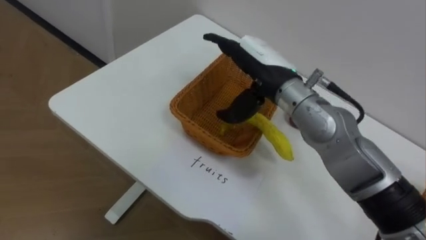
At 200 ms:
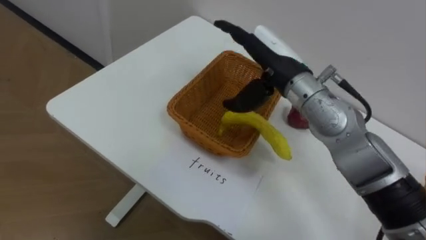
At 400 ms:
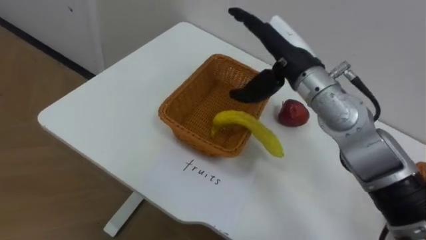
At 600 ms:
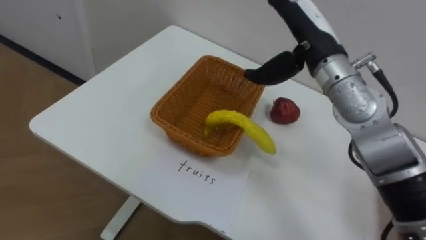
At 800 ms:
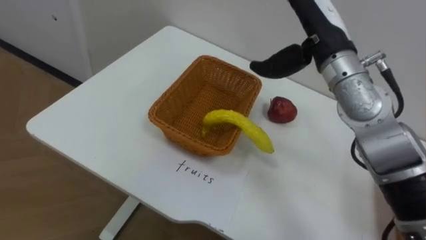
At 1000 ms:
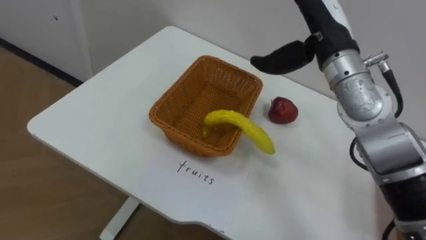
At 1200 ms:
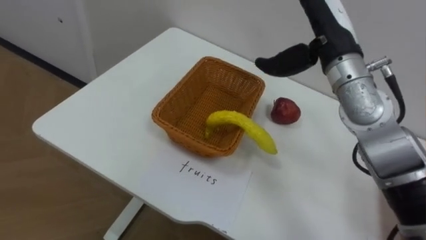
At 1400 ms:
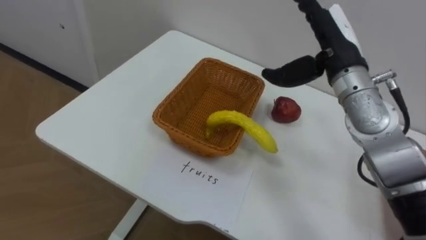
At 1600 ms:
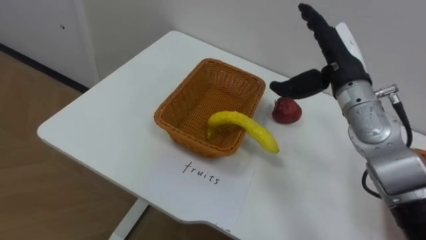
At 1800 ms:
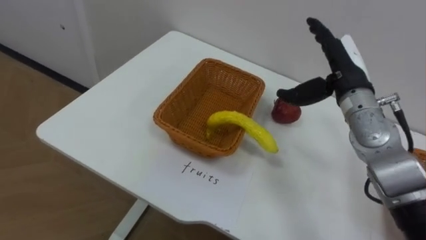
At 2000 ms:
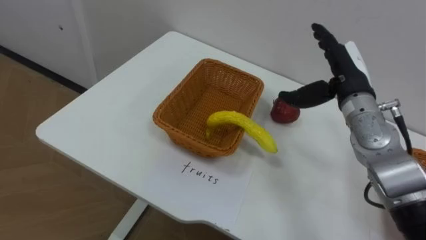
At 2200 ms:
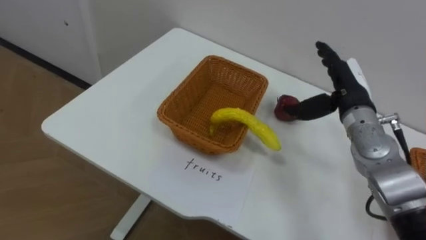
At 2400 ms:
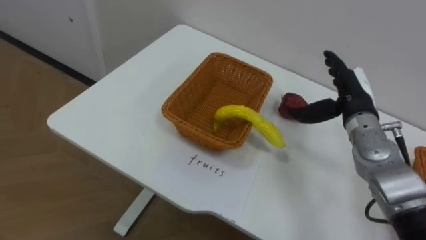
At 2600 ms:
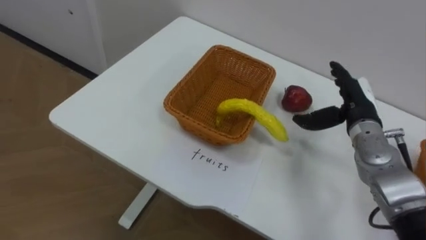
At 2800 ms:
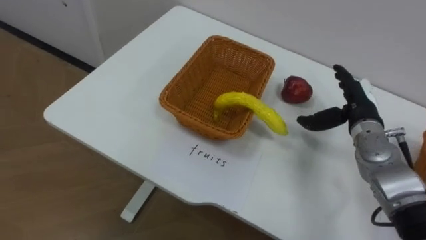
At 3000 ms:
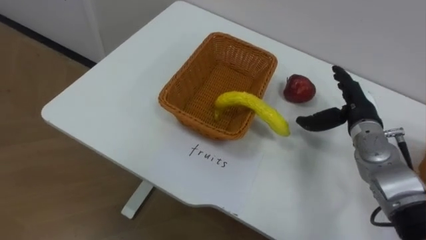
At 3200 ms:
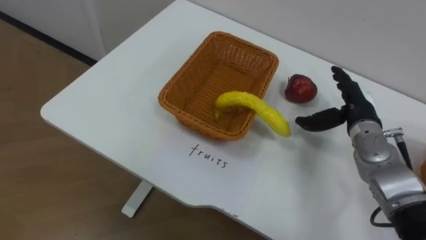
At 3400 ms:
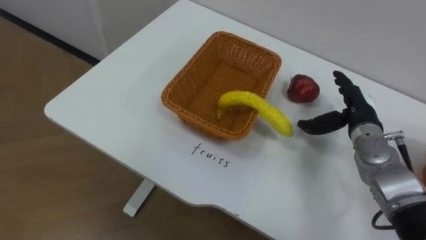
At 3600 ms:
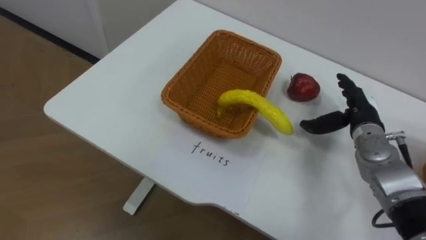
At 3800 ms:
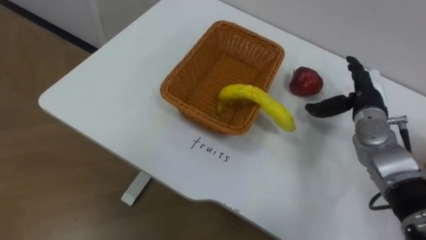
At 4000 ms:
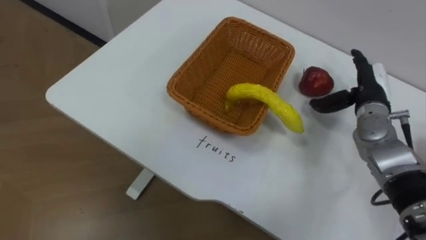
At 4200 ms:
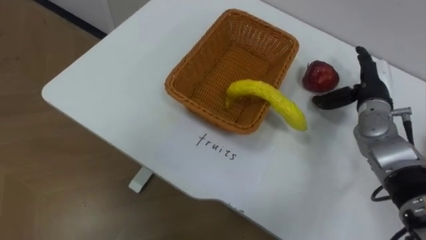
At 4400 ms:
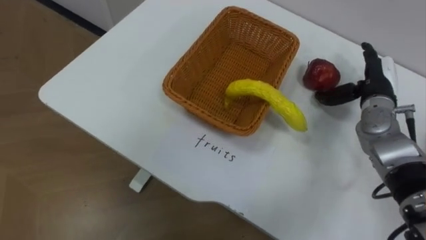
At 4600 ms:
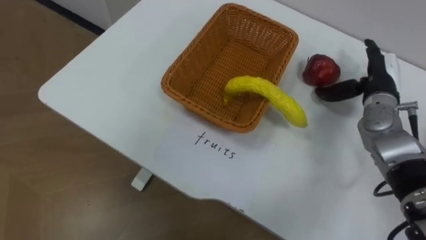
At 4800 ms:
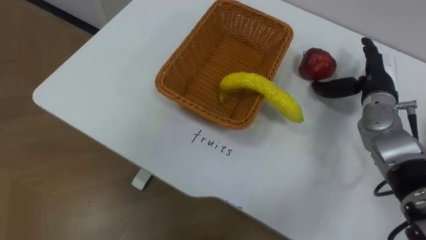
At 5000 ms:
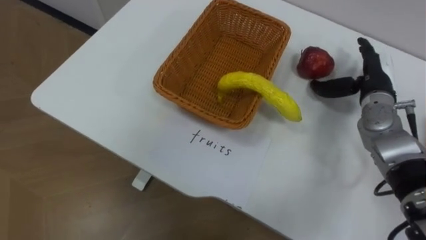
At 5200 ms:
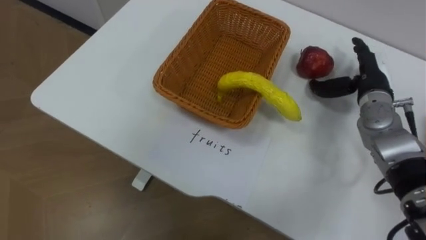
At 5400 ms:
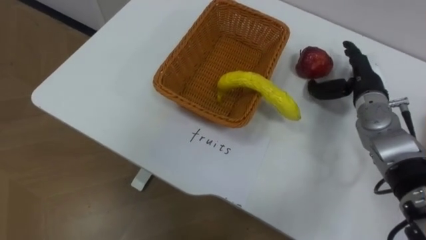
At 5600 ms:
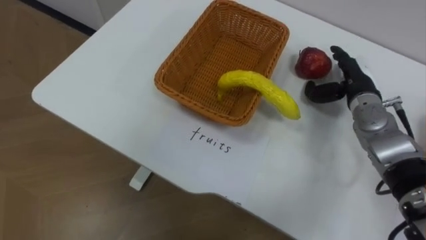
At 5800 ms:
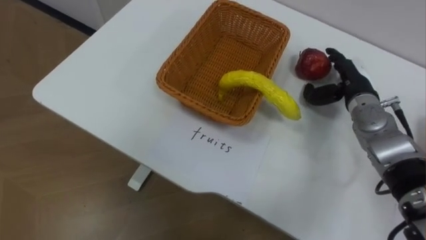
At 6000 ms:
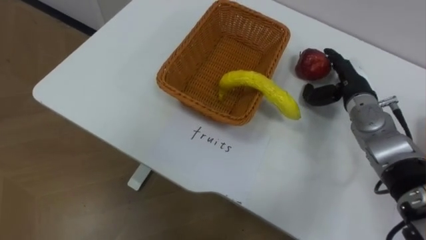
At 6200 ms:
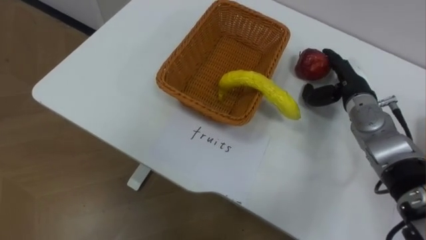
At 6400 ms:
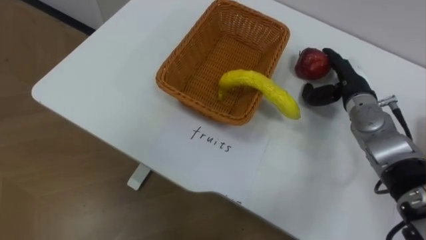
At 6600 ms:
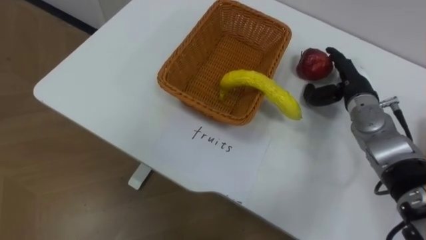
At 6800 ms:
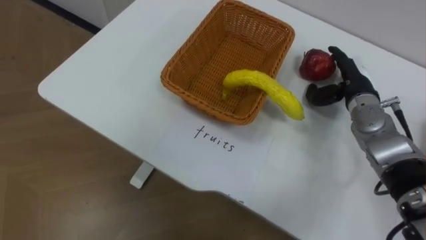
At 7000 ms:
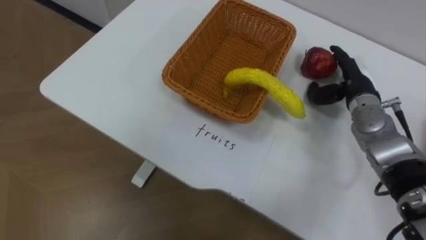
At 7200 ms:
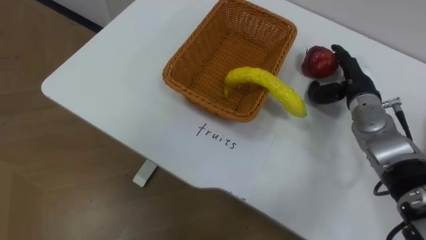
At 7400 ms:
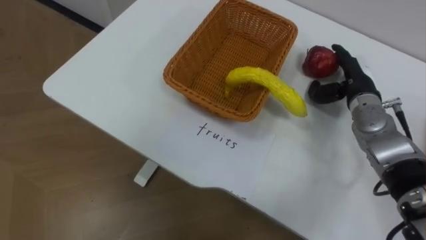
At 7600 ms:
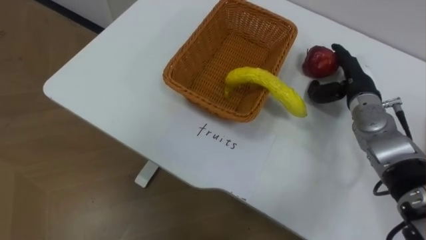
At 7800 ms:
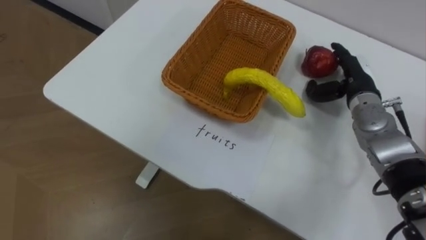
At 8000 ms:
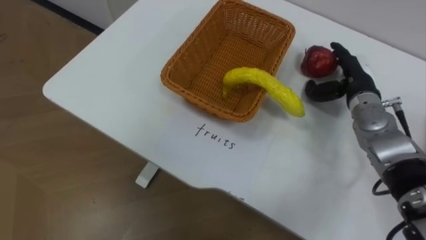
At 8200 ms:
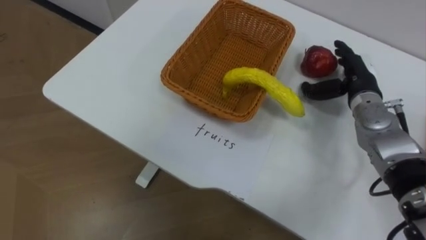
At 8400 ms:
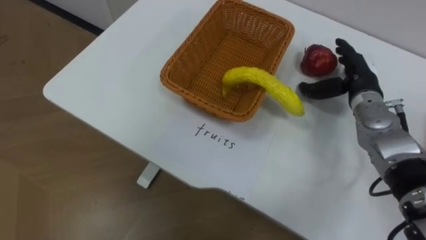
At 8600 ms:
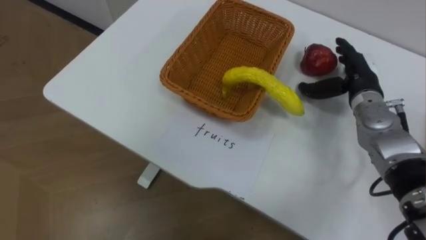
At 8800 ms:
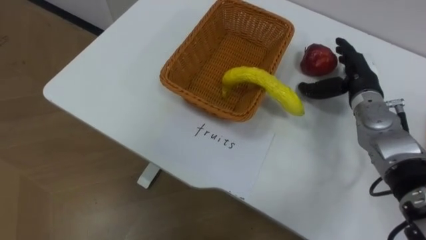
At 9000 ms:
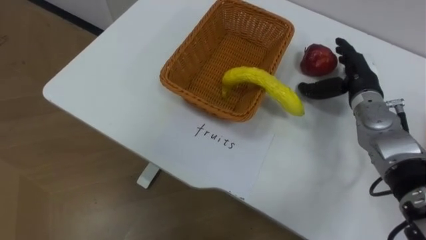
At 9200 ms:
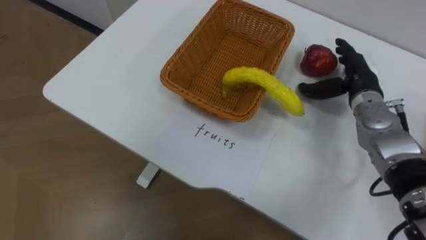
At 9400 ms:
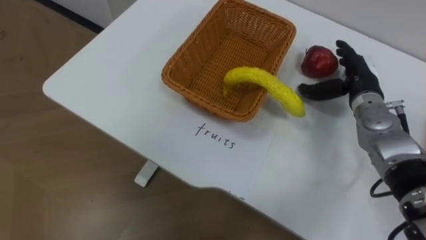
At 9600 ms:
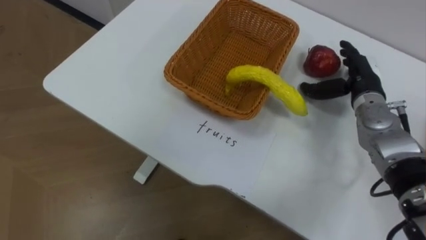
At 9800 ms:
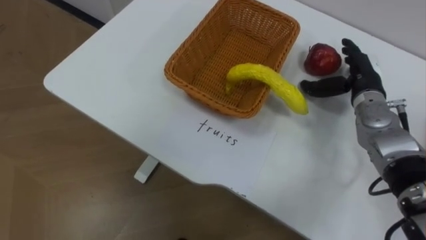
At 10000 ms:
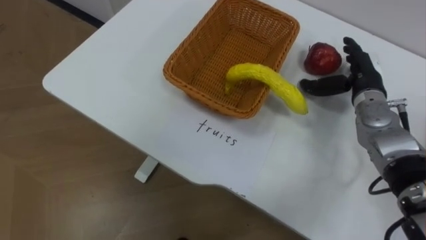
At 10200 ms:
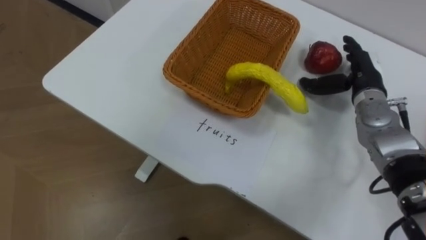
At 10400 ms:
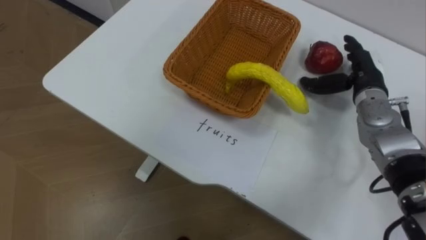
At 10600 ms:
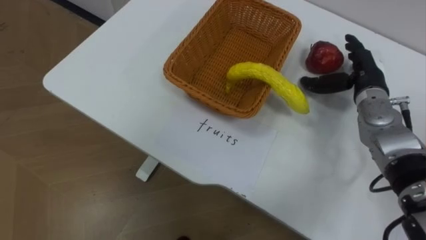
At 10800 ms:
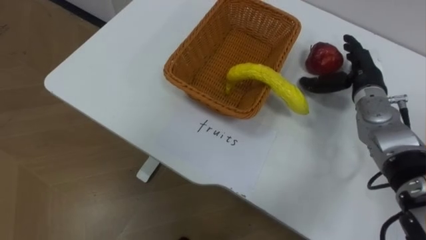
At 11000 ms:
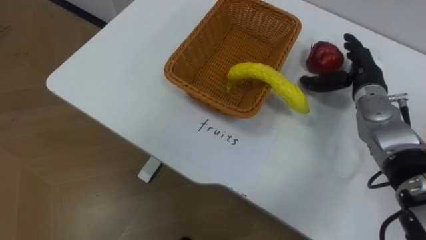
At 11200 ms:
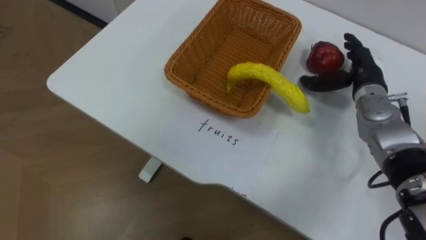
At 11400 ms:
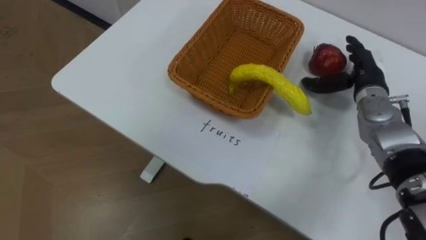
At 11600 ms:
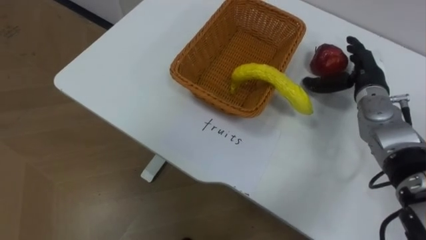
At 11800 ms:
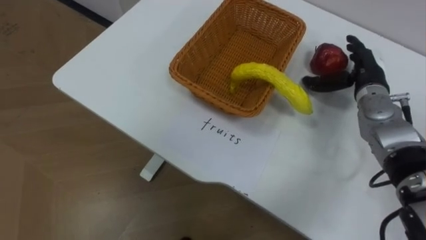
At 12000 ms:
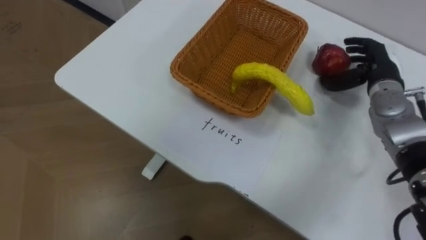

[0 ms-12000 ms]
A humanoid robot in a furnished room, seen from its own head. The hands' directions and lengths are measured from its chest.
Task of the whole recording: Separate the items on the table and place them into the two baskets.
0 ms to 1600 ms: The right hand heads to the right, covering some 10 cm.
1600 ms to 3000 ms: The right hand heads downward and to the right, covering roughly 15 cm.
3000 ms to 4400 ms: The right hand ends up roughly 5 cm from where it was.

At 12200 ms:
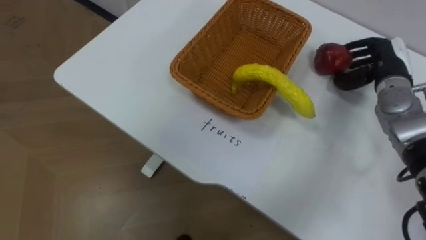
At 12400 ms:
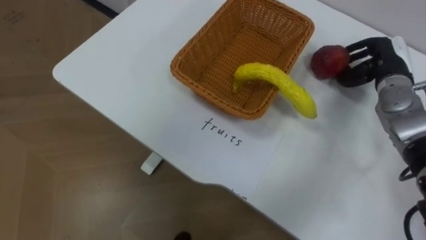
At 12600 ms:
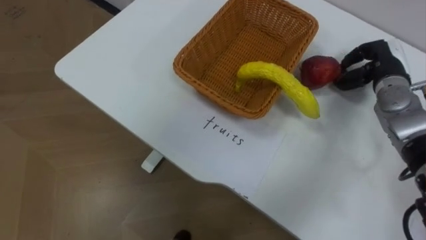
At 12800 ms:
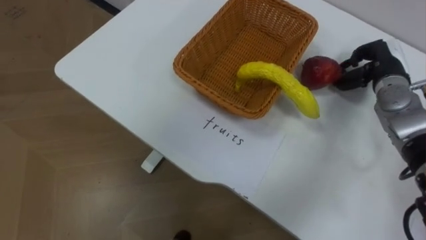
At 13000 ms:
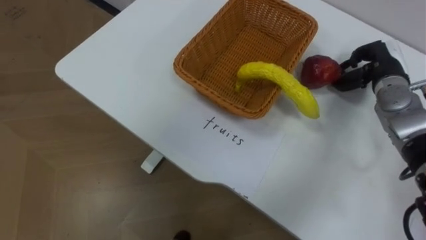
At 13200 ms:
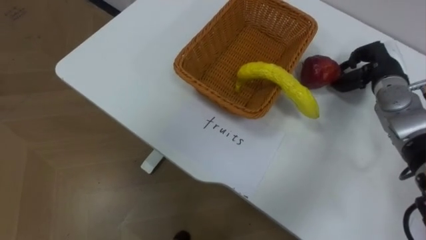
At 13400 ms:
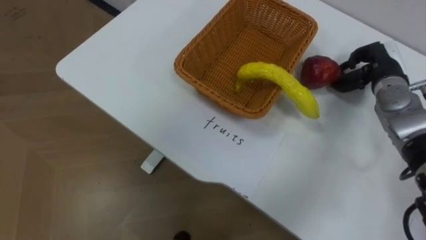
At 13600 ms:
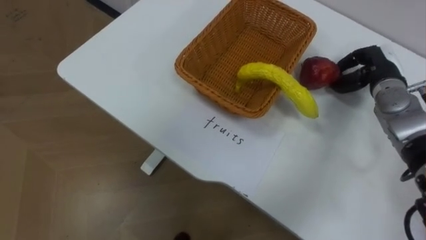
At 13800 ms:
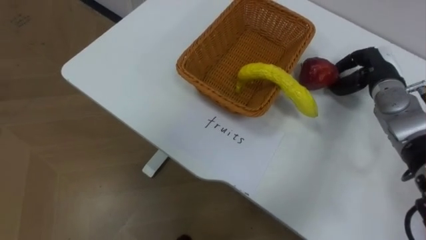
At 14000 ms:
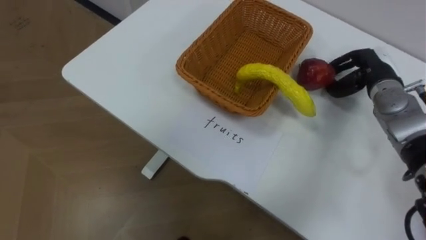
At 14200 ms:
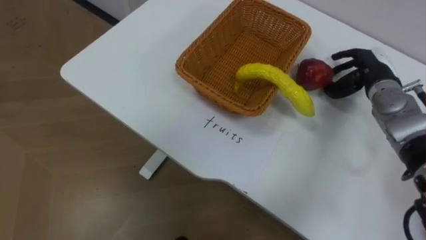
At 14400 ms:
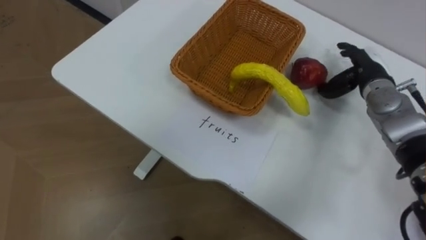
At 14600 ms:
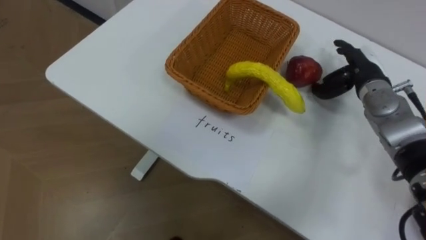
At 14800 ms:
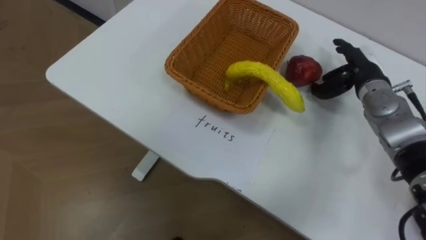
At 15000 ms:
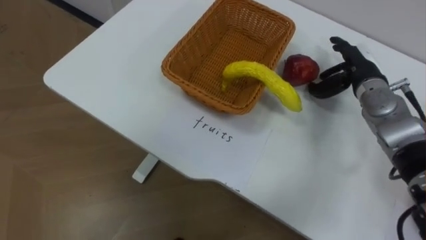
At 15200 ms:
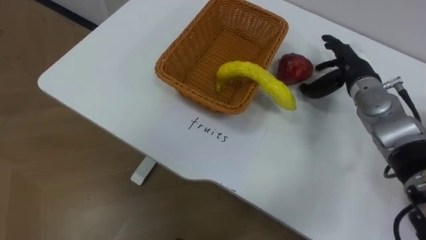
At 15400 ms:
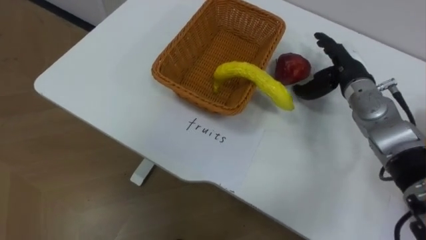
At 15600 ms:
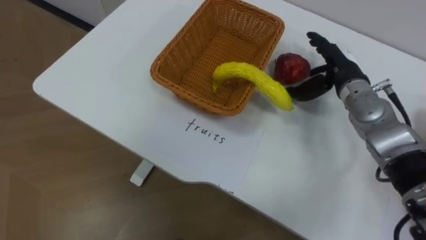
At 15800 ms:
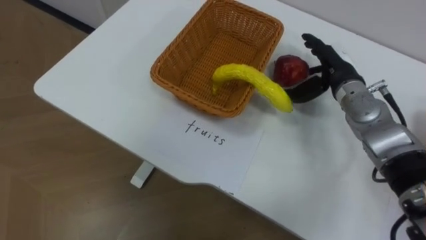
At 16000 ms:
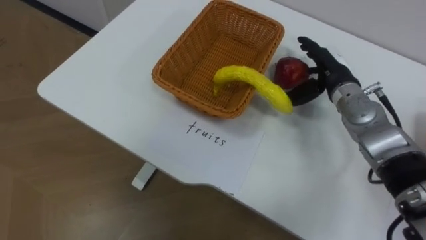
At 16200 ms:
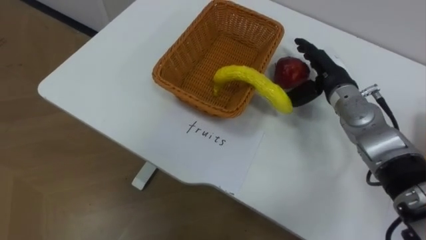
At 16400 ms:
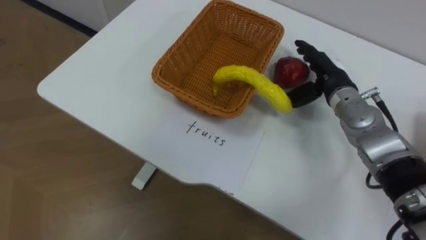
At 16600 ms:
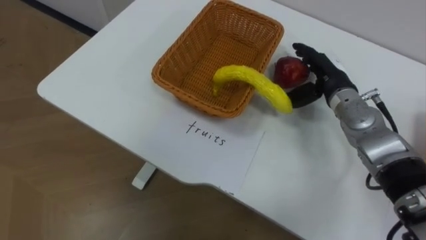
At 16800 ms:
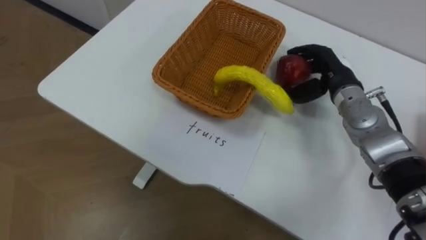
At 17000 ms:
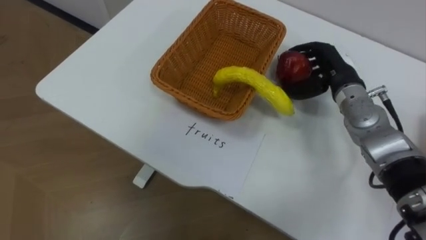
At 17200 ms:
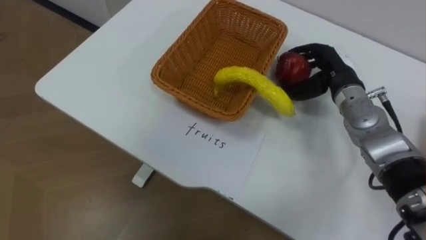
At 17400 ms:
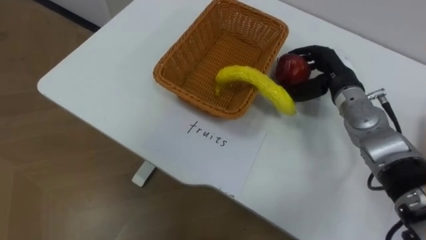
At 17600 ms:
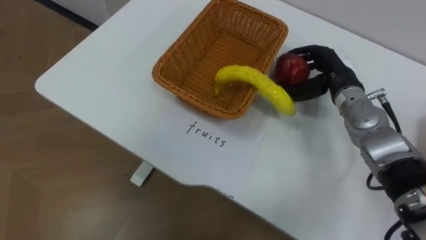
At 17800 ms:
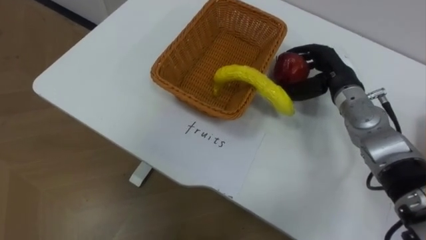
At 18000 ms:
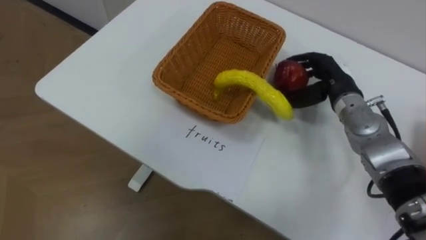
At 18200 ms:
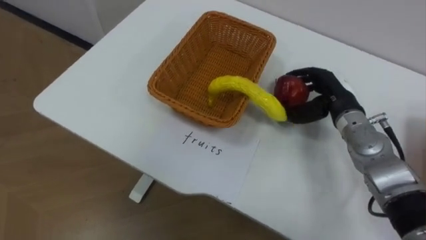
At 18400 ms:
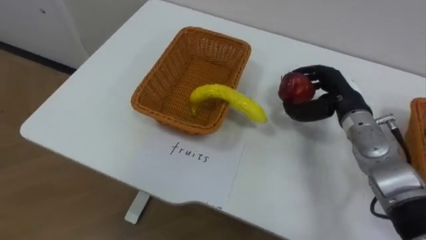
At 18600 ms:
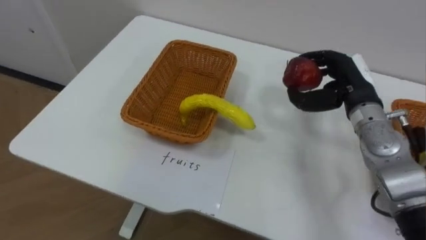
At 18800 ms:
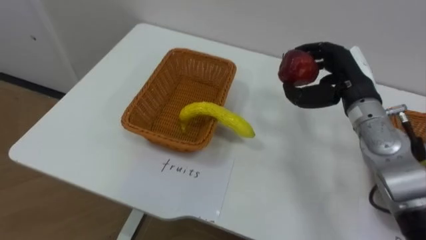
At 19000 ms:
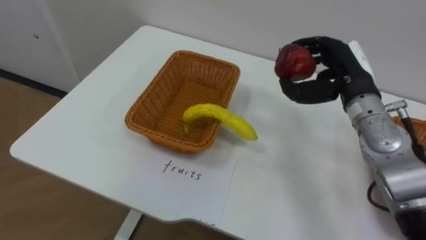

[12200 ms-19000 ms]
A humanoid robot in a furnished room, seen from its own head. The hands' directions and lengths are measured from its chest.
Task of the whole recording: Separate the items on the table and place them into the two baskets.
12200 ms to 13600 ms: The right hand closes up.
13600 ms to 15000 ms: The right hand opens up.
15000 ms to 16200 ms: The right hand goes about 5 cm to the left.
16200 ms to 17600 ms: The right hand closes.
17600 ms to 19000 ms: The right hand shifts by approximately 5 cm.
